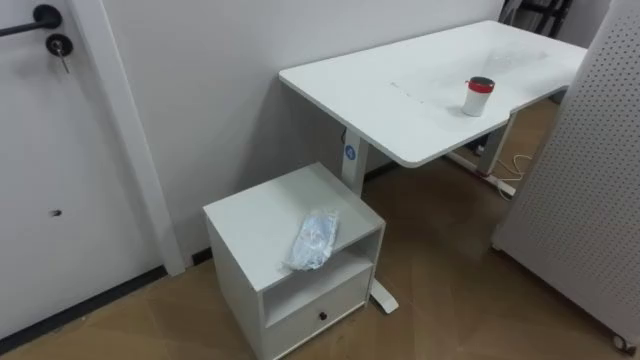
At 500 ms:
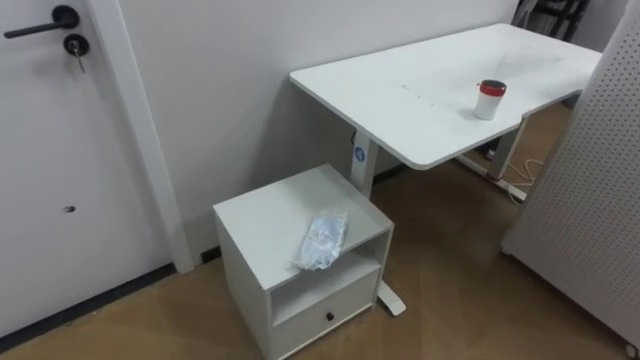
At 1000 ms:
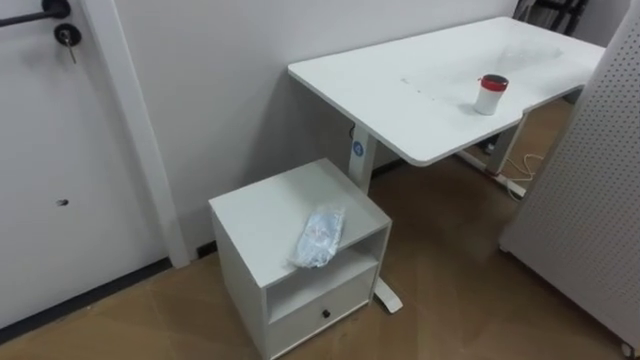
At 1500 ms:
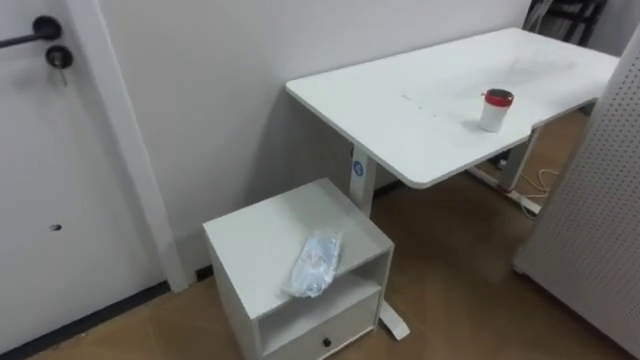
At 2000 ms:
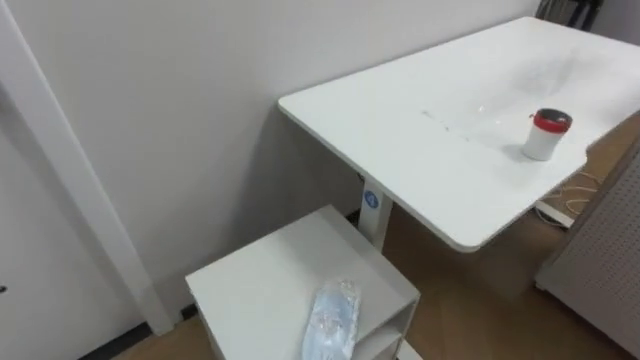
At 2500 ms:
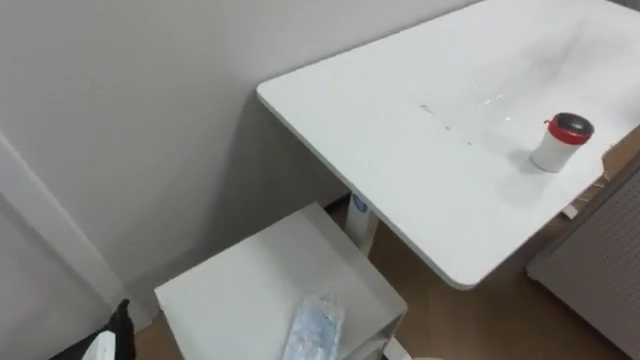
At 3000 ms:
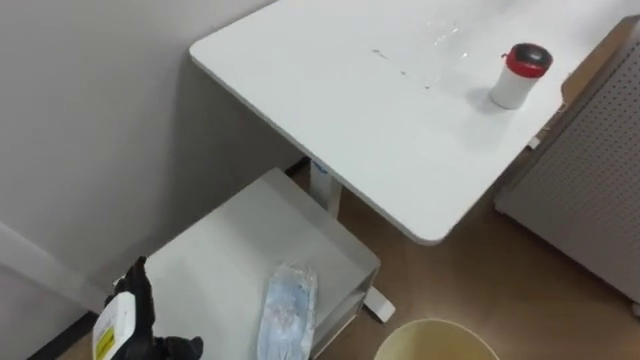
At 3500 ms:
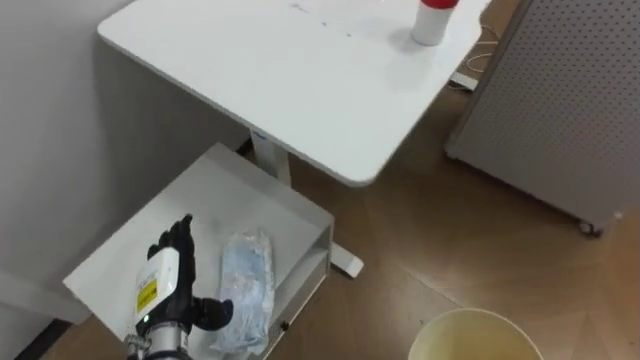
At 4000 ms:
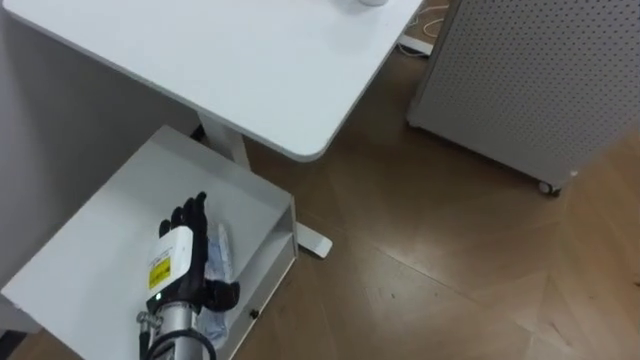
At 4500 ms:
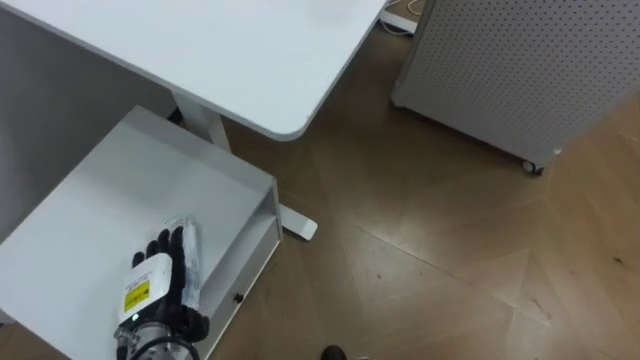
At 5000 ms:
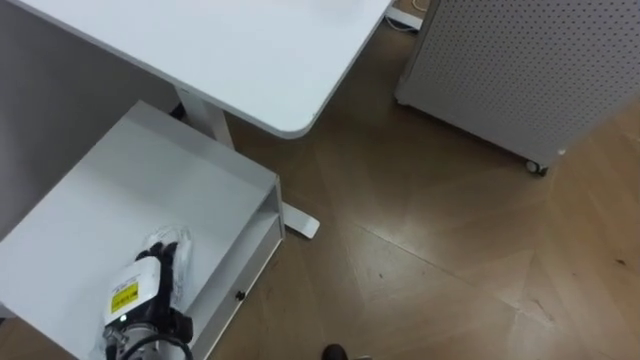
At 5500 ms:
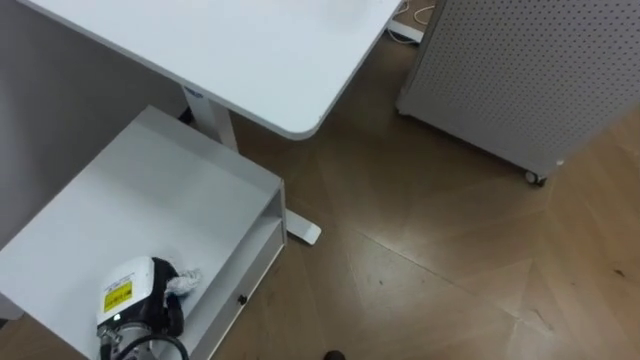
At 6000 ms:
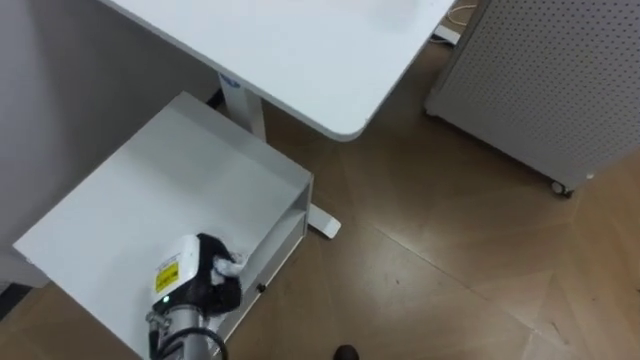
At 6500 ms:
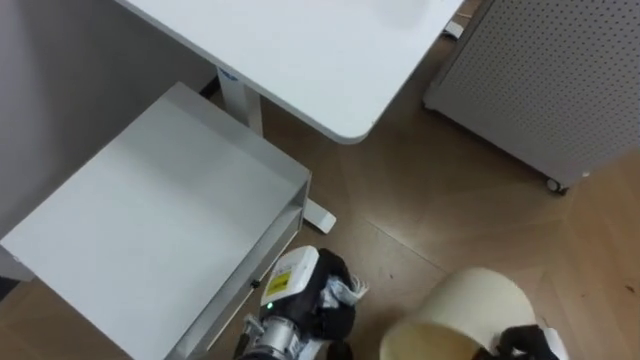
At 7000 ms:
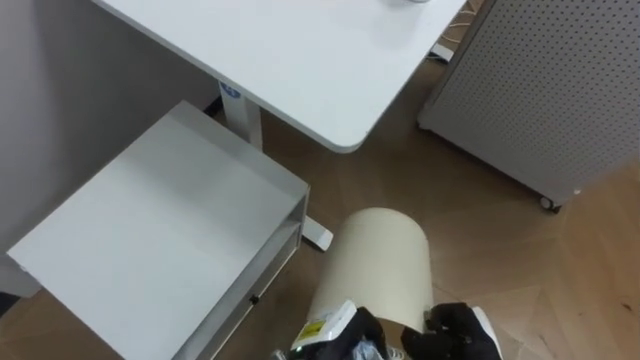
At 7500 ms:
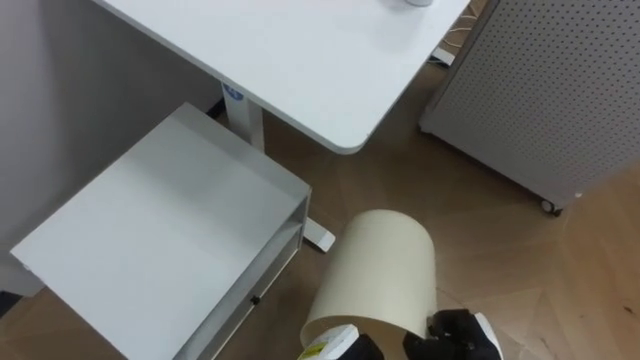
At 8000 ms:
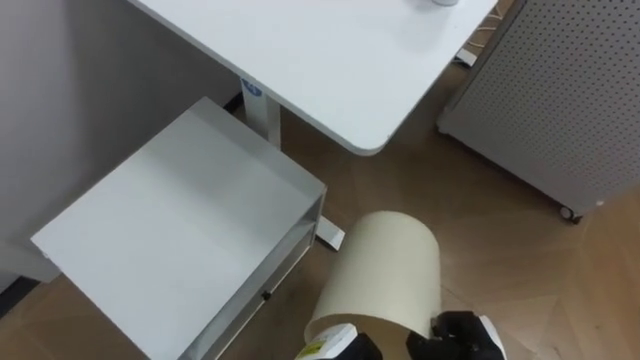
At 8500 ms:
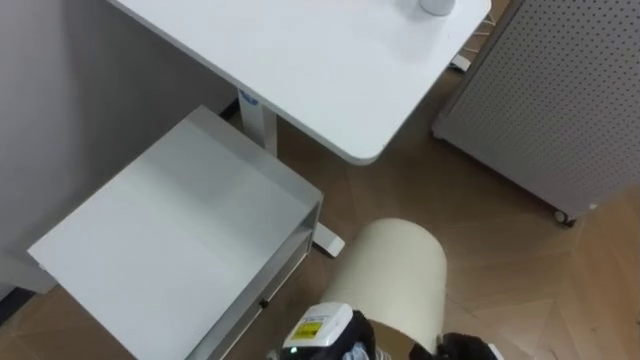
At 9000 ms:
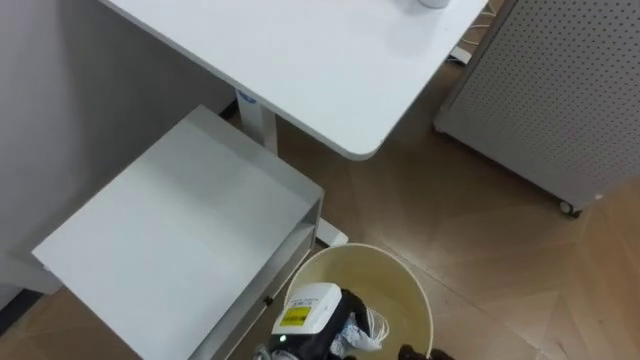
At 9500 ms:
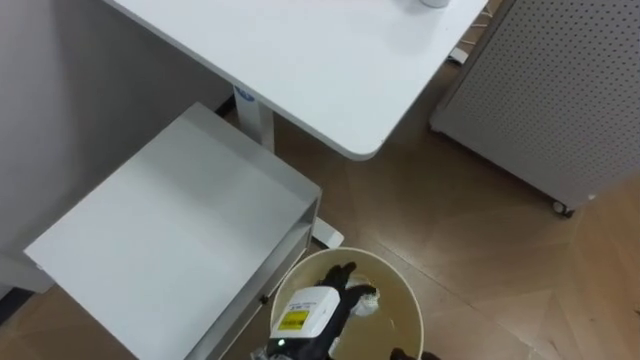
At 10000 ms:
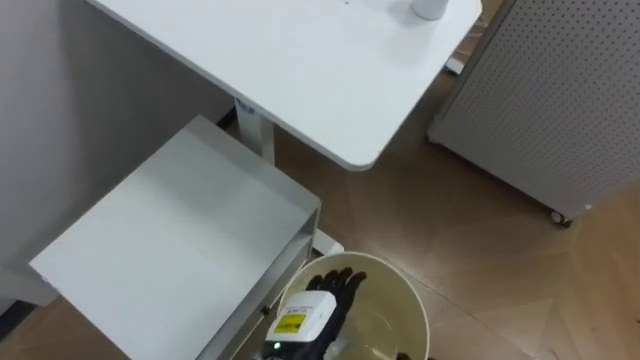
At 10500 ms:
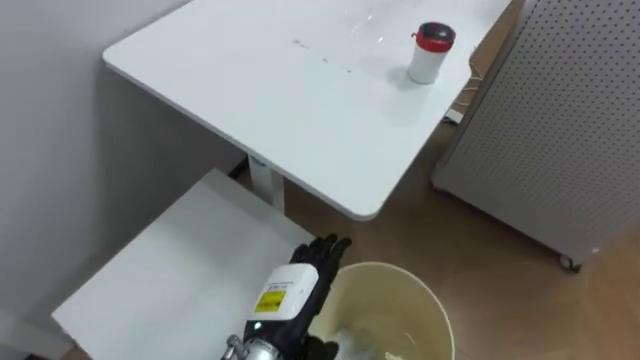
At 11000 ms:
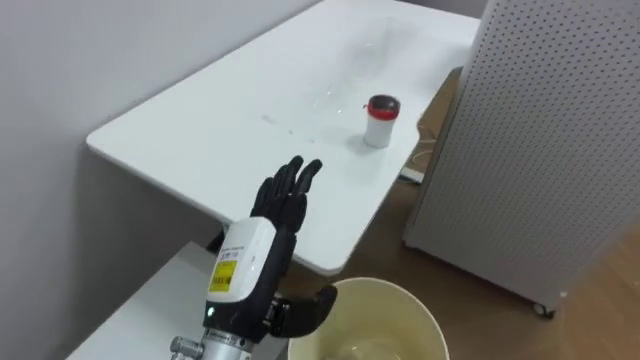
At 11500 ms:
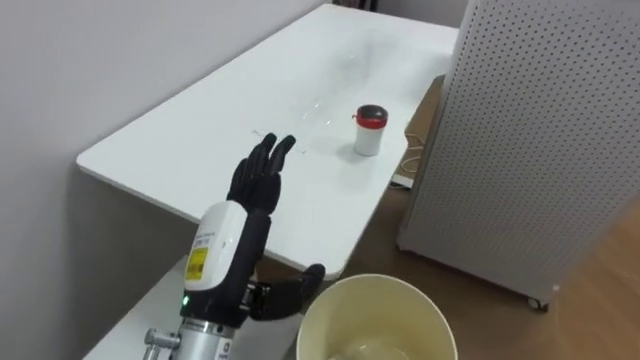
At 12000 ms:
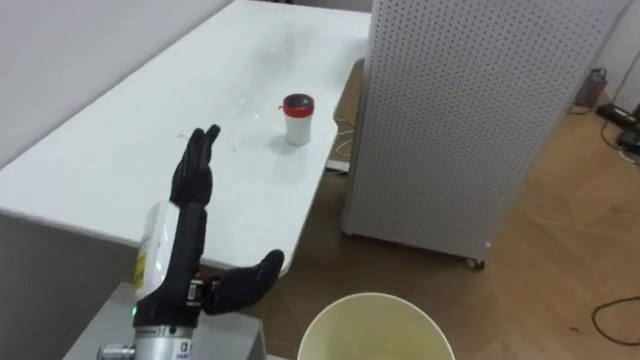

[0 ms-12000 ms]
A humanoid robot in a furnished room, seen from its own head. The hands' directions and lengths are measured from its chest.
Task of the whole recording: Pick up the light blue package, the candy box, and the dark blue package separately, and put them into the trash can held in your right hand.
4000 ms to 6000 ms: The left hand closes its fingers.
6000 ms to 8000 ms: The left hand heads to the right and backward, covering roughly 20 cm.
8000 ms to 10000 ms: The left hand ends up approximately 5 cm from where it was, and opens.
10000 ms to 12000 ms: The left hand is displaced upward and to the left by about 20 cm.

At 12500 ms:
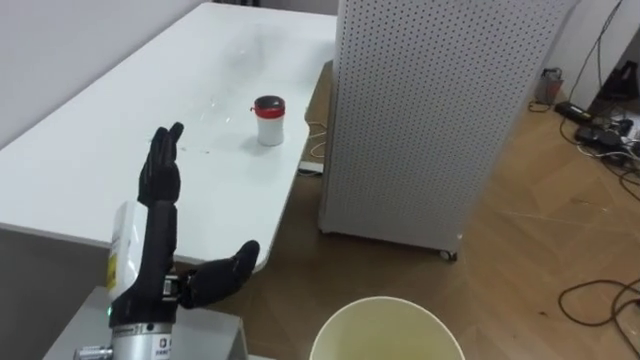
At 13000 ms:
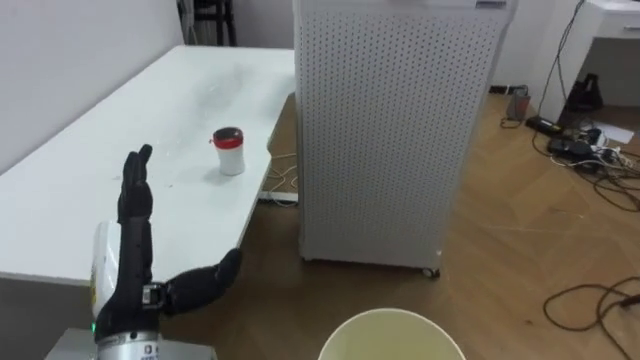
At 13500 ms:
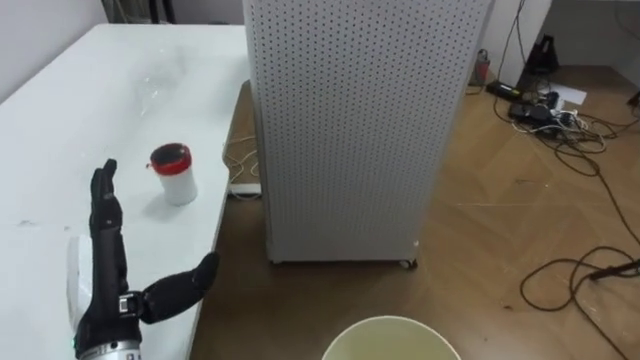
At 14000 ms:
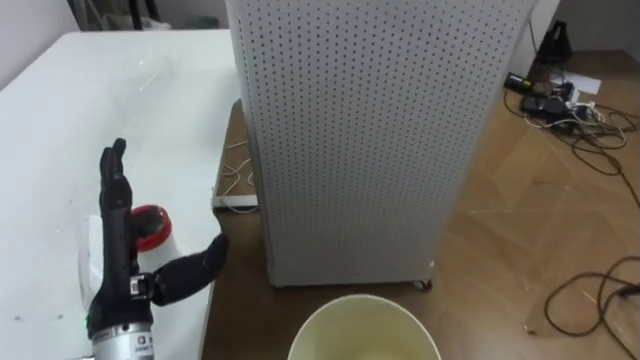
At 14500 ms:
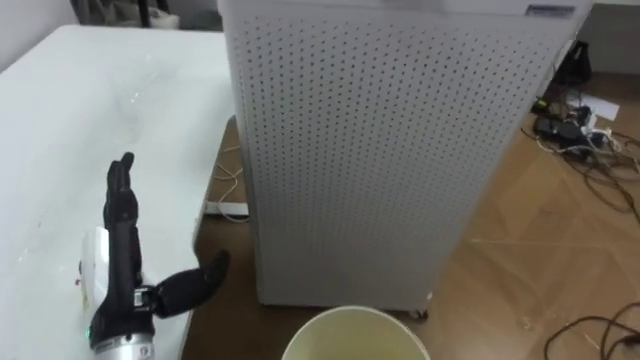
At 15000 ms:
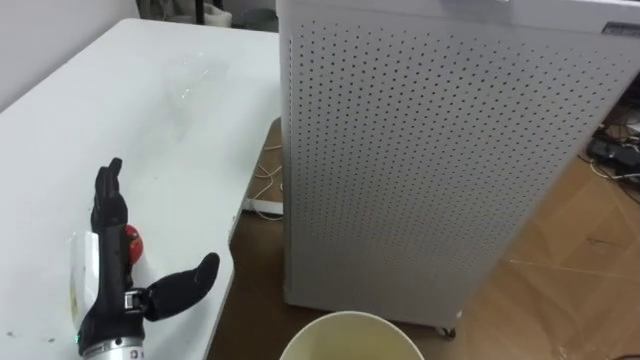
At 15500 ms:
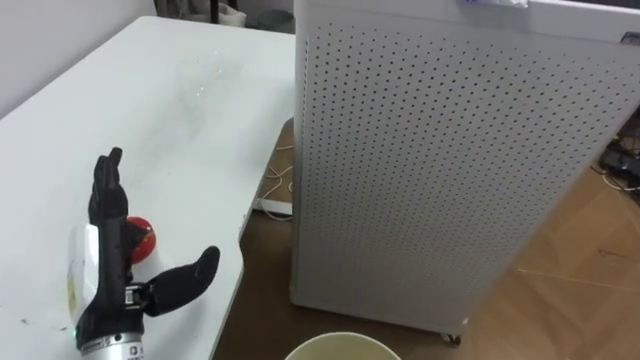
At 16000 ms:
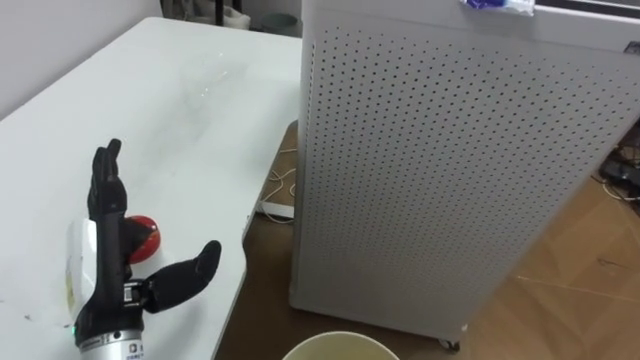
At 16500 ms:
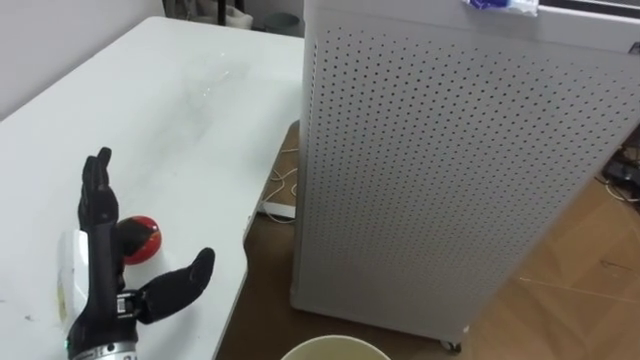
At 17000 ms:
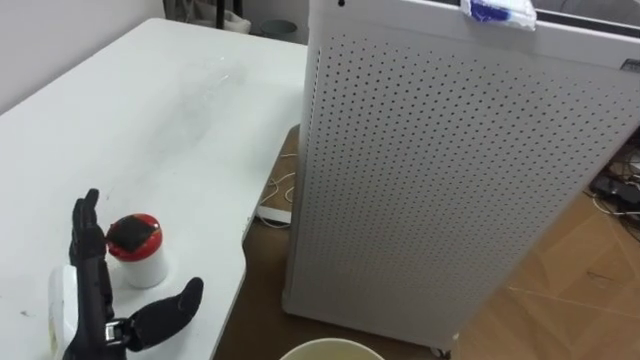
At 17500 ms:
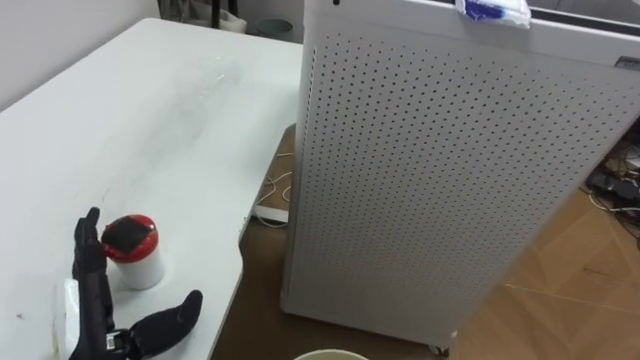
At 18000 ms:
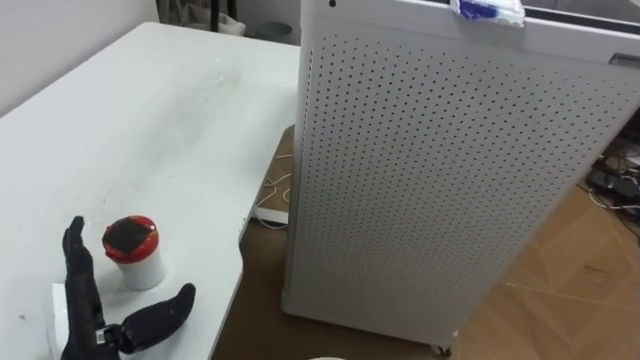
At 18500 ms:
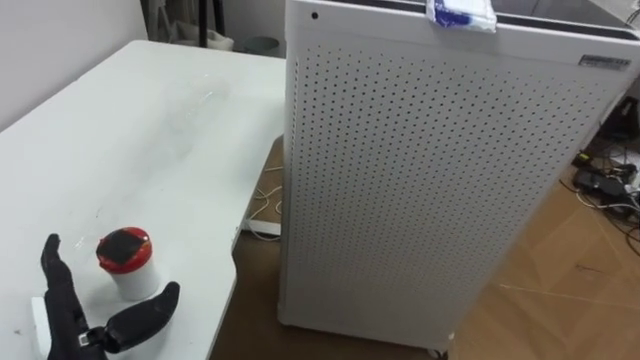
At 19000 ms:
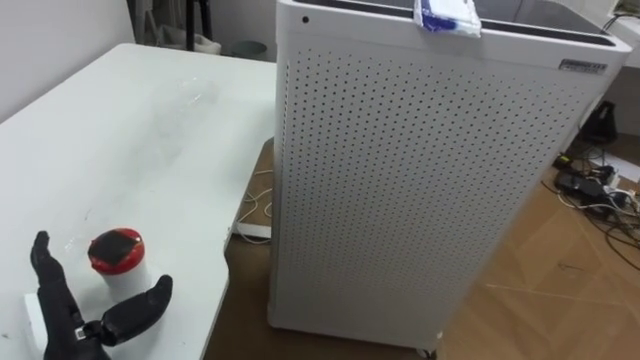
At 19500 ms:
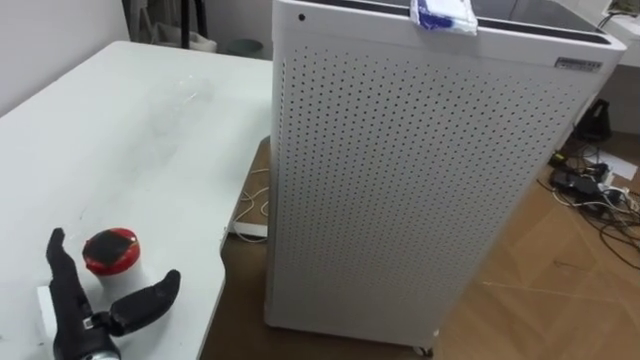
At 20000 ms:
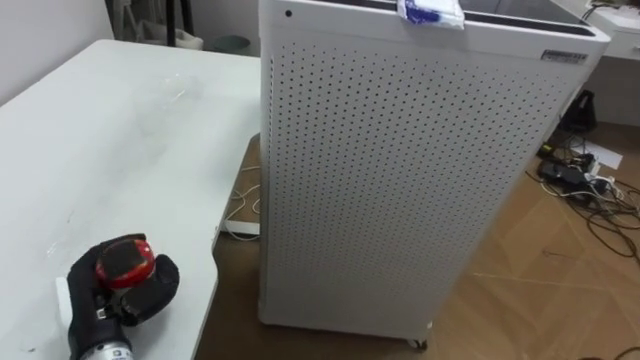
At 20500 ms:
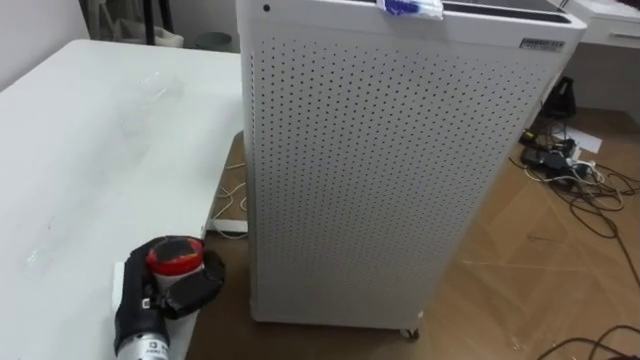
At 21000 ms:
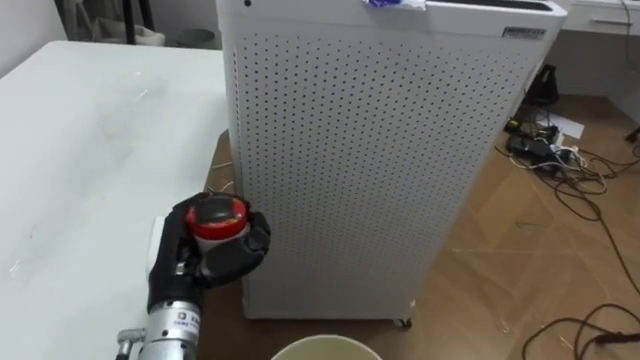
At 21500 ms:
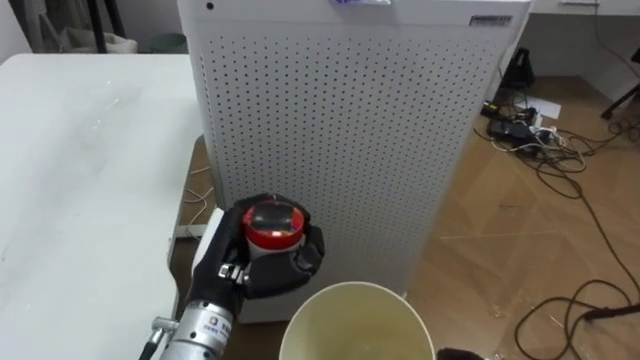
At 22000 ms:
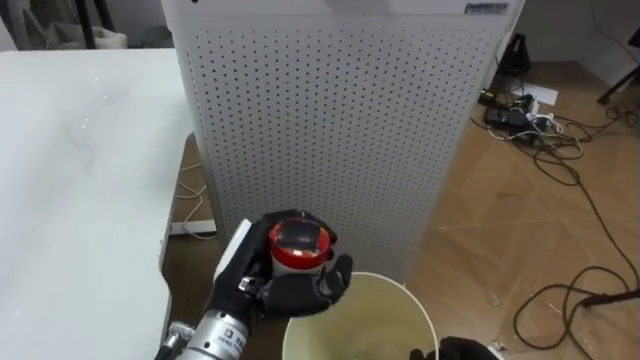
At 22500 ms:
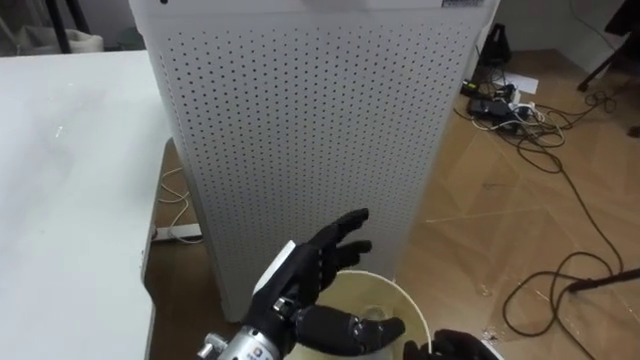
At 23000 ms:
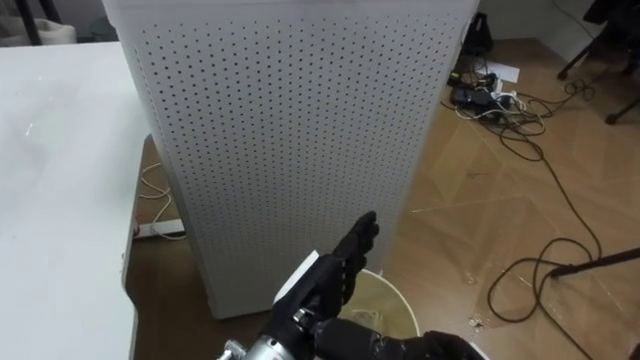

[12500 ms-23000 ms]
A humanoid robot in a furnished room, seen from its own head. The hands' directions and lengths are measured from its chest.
Task of the whole recording: Pick up the light blue package, the candy box, and the dark blue package separately, and put them into the trash can held in your right hand.
12500 ms to 14500 ms: The left hand ends up about 5 cm from where it was.
16500 ms to 19000 ms: The left hand shifts some 10 cm downward and to the left.
19000 ms to 21000 ms: The left hand travels to the right and forward by roughly 10 cm, and closes.
21000 ms to 23000 ms: The left hand is displaced to the right by approximately 15 cm, and opens.
